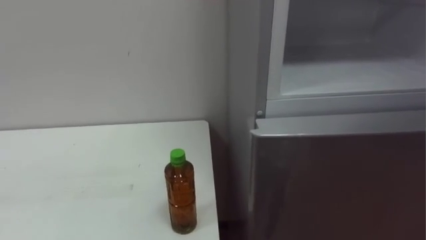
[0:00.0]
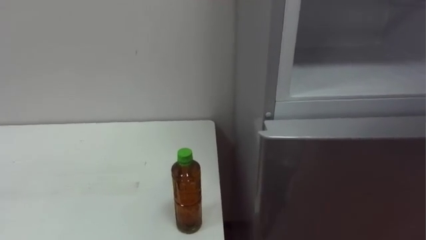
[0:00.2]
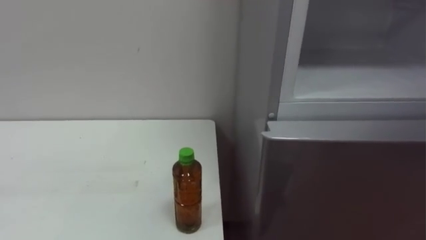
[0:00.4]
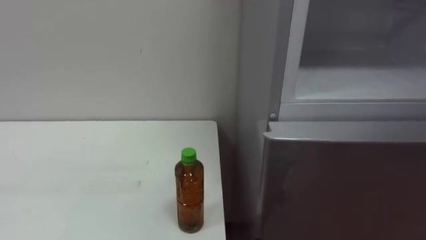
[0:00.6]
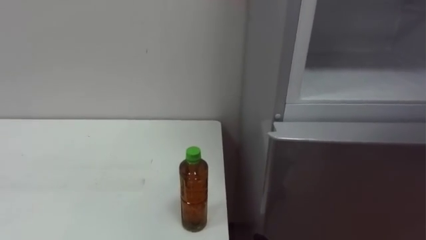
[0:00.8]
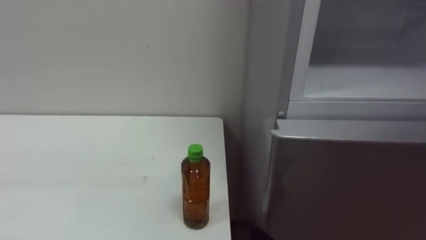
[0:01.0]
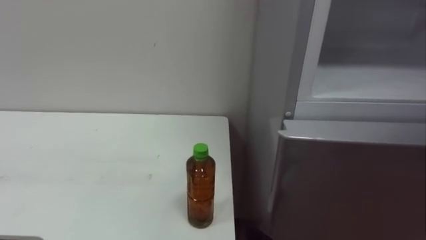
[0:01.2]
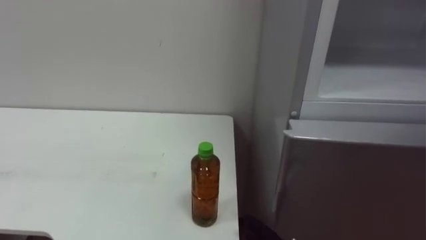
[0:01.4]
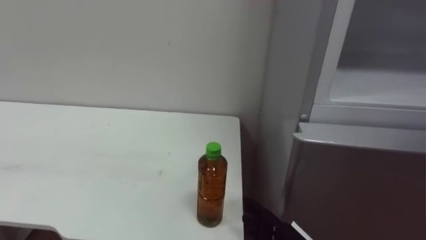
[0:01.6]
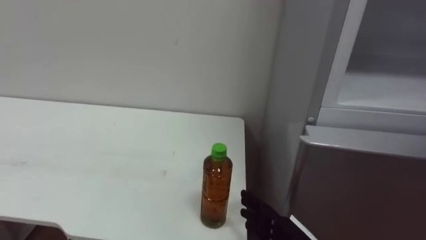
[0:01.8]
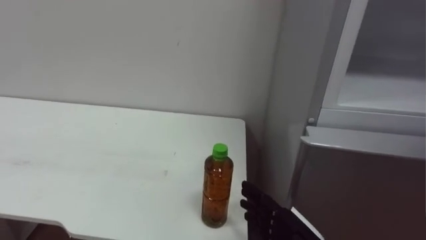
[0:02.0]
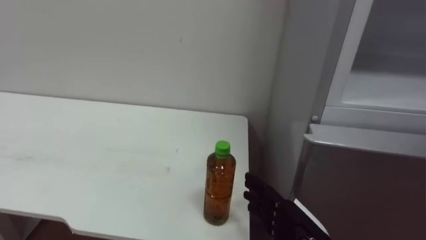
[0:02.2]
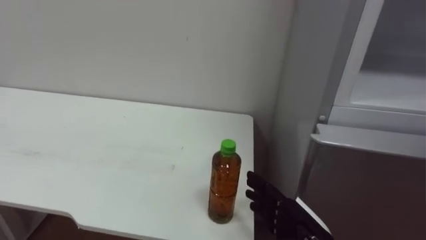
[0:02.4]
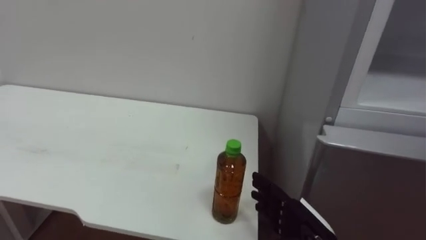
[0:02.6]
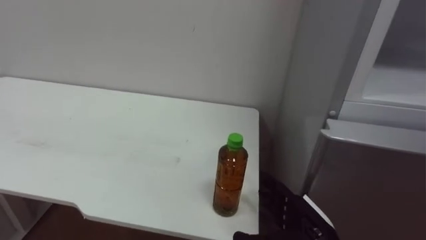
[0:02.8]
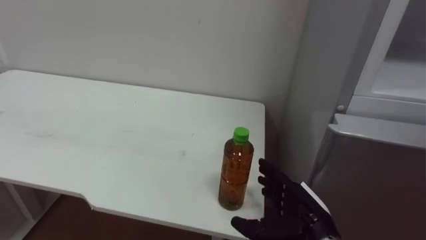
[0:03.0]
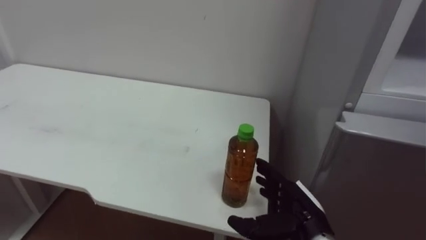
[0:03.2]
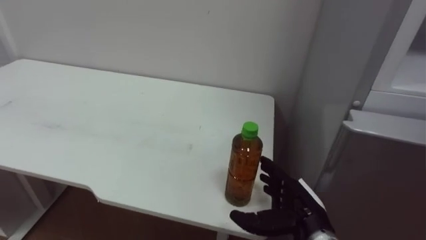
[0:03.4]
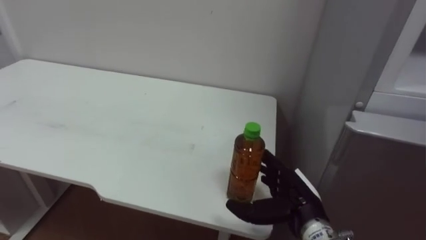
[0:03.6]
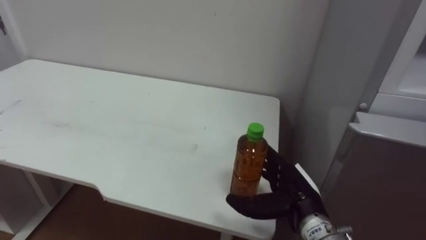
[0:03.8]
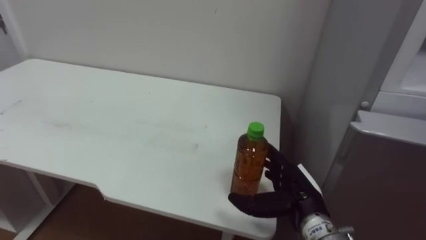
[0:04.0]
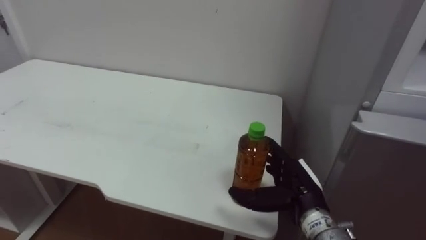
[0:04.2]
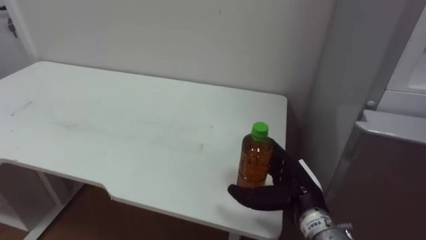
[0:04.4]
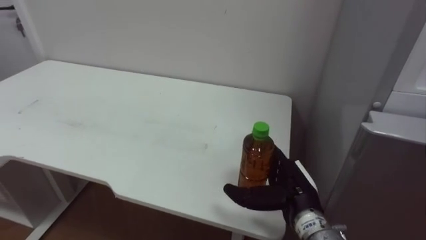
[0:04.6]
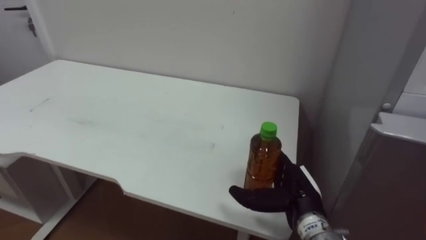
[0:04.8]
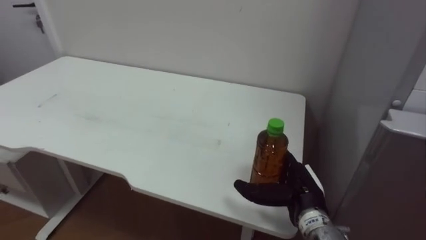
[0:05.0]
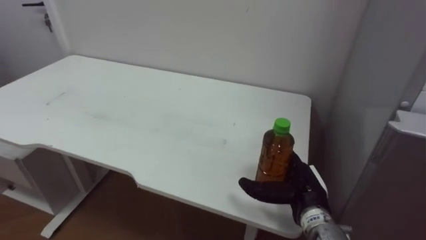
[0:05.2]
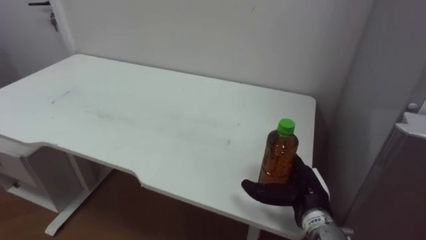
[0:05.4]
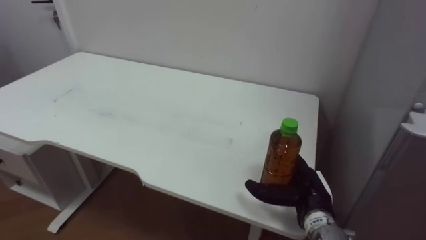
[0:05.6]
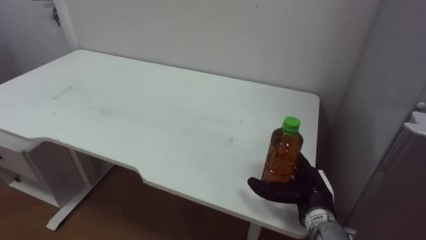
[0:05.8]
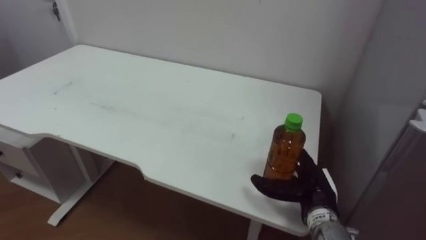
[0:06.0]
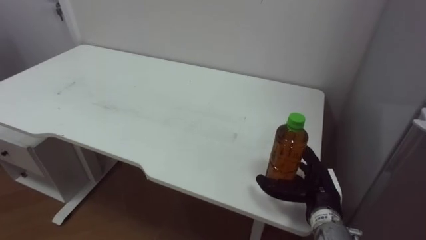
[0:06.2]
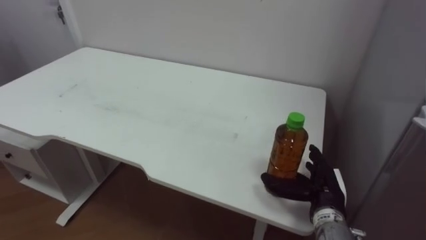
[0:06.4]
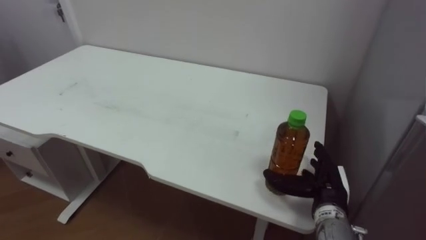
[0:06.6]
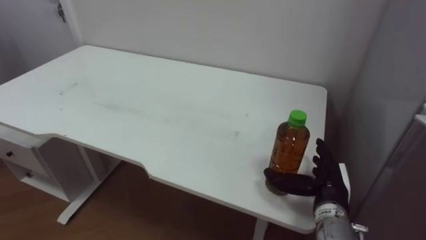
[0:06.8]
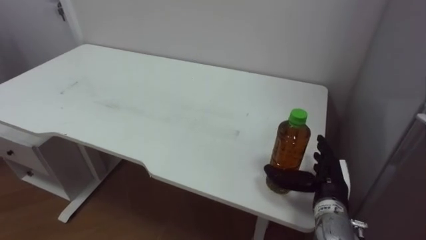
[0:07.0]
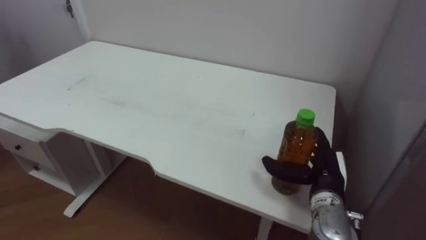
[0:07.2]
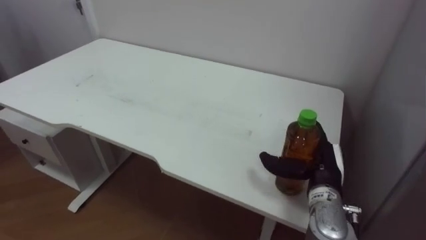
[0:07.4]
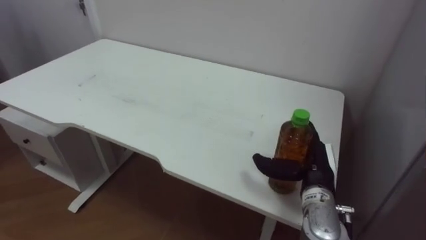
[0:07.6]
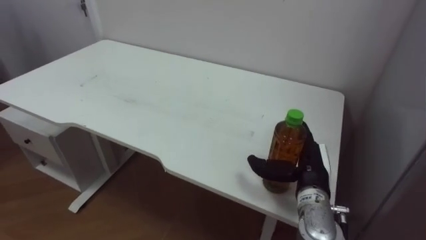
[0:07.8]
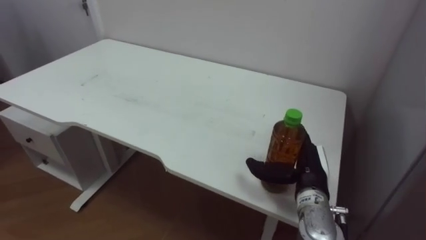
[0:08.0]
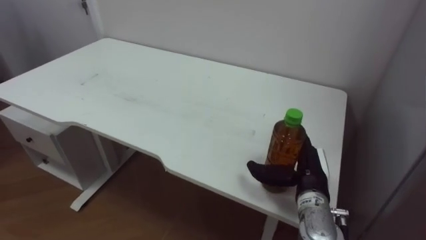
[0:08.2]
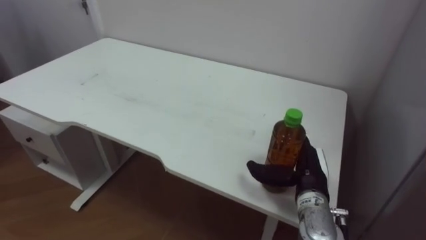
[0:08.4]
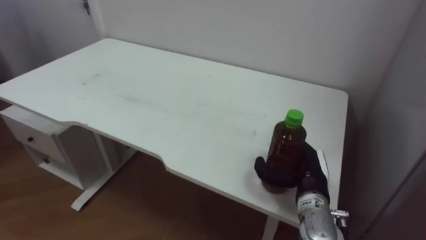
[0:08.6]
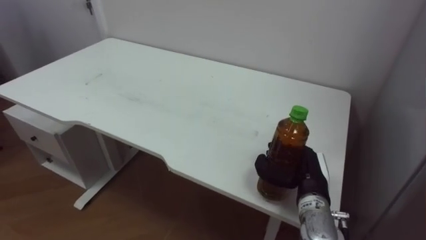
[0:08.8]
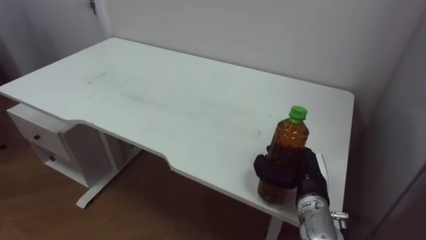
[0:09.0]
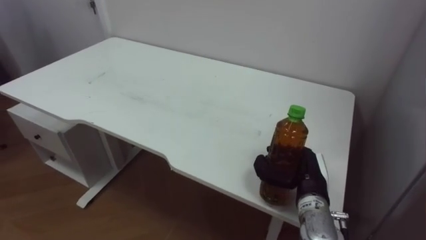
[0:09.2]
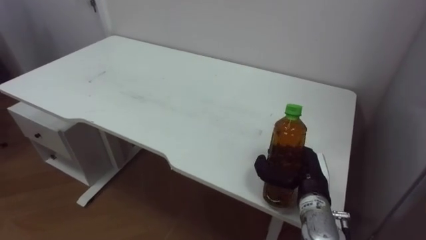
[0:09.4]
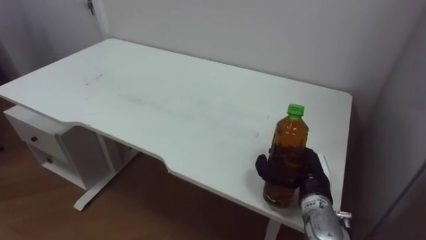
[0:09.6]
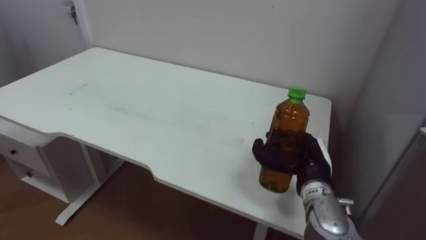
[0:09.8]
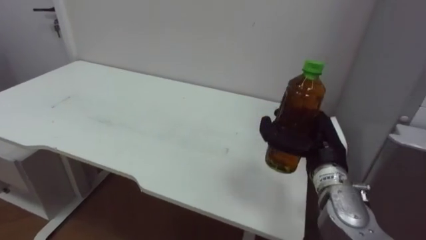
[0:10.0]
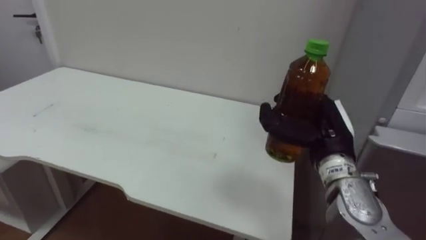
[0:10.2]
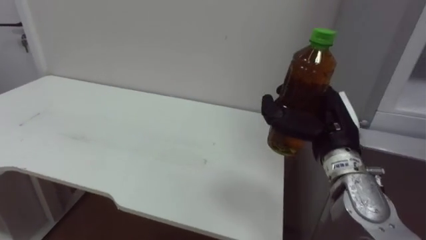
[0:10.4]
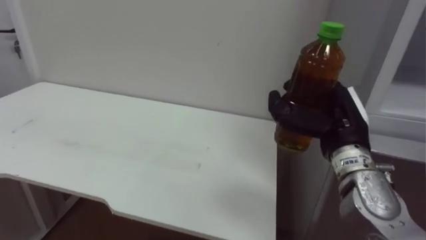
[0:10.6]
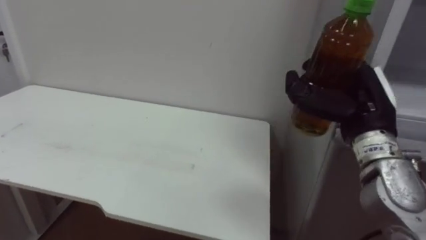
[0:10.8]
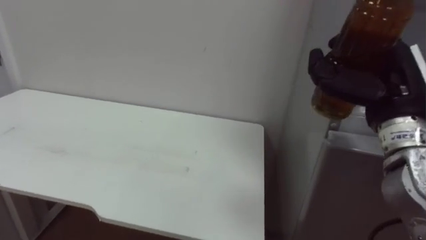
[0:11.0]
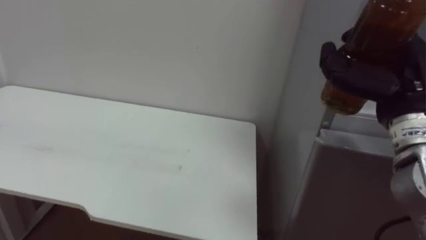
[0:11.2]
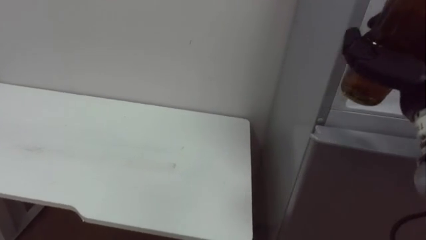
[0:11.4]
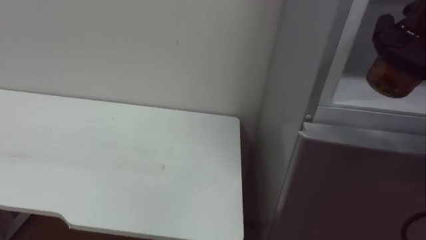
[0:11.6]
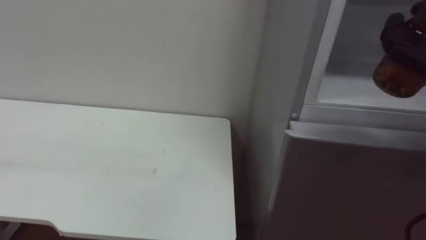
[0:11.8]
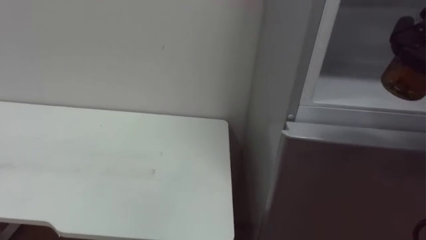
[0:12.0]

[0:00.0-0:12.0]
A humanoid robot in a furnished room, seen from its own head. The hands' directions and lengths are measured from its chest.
Task of the whole recording: Open the upper refrigerator door, put the drink from the table into the refrigerator, and then close the refrigerator door.
0:07.6 to 0:09.0: The right hand closes.
0:09.0 to 0:10.4: The right hand heads upward, covering some 15 cm.

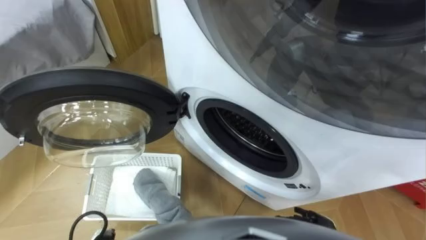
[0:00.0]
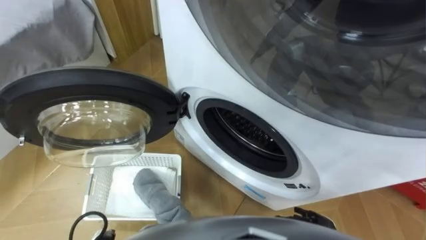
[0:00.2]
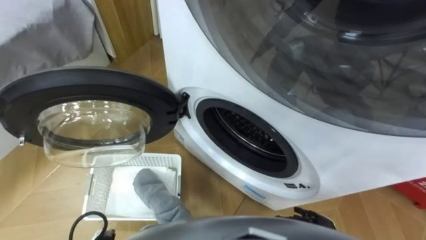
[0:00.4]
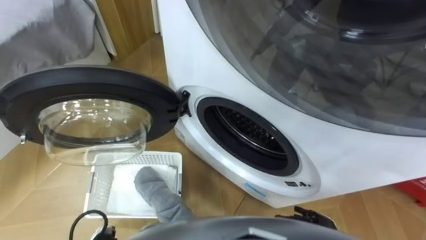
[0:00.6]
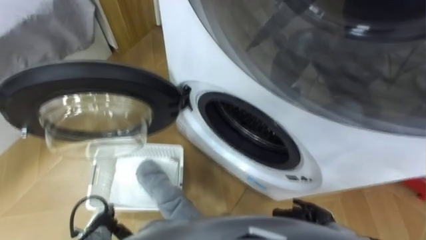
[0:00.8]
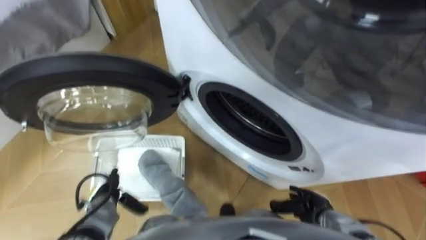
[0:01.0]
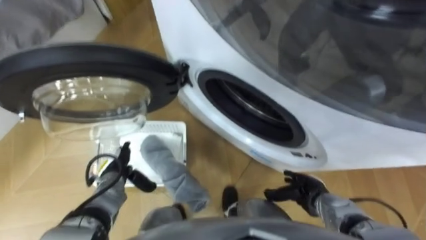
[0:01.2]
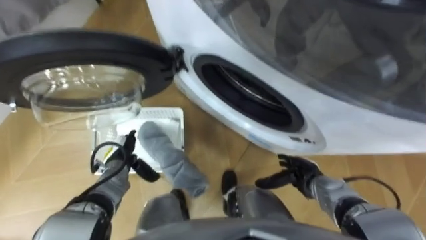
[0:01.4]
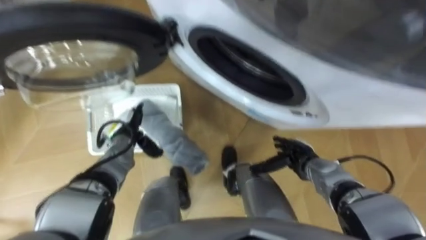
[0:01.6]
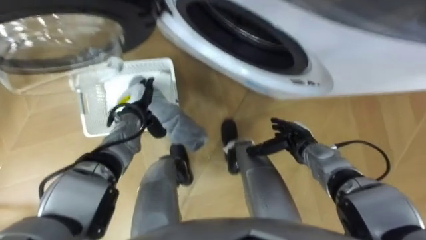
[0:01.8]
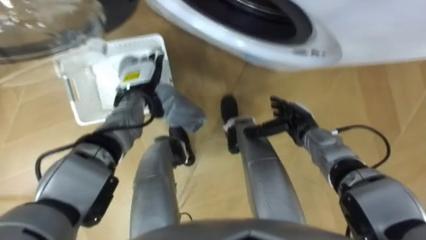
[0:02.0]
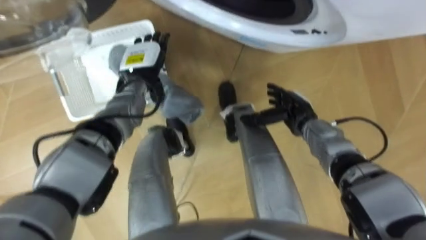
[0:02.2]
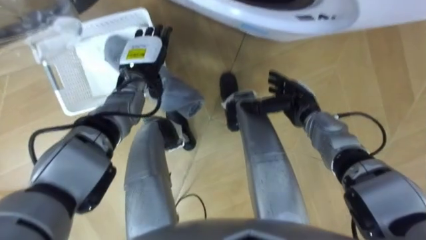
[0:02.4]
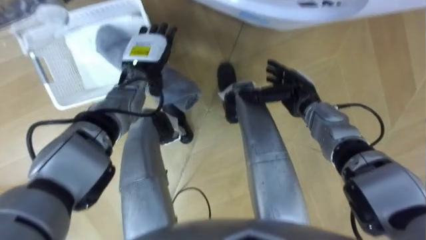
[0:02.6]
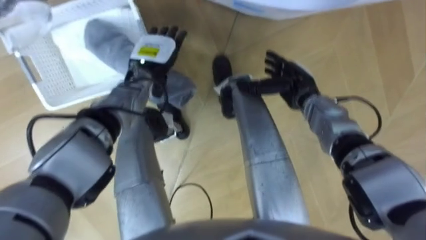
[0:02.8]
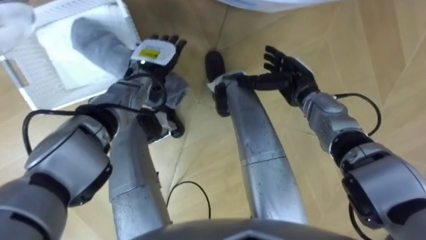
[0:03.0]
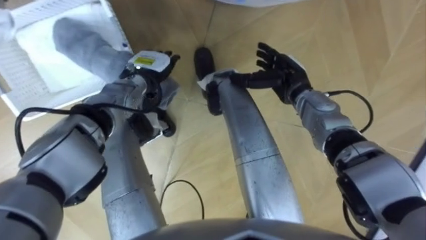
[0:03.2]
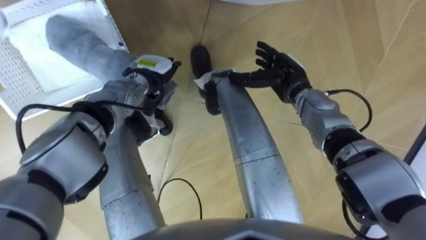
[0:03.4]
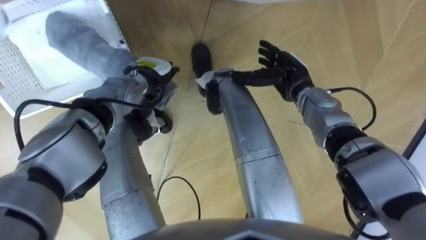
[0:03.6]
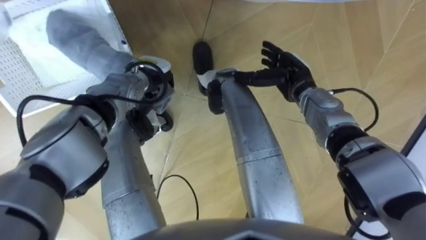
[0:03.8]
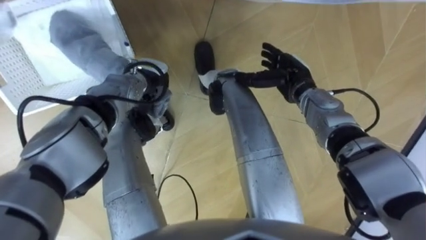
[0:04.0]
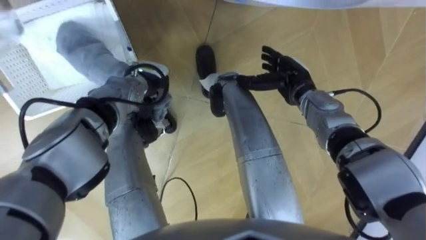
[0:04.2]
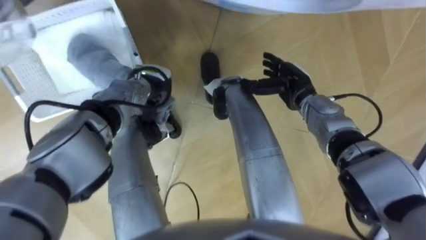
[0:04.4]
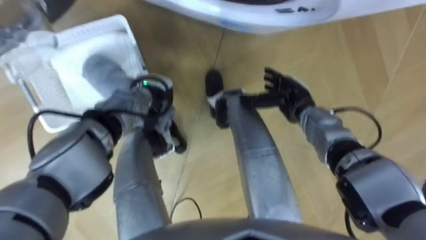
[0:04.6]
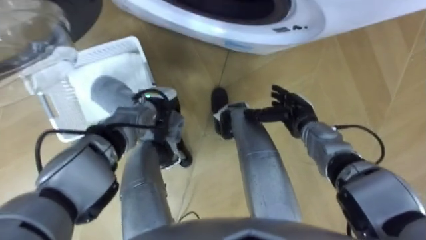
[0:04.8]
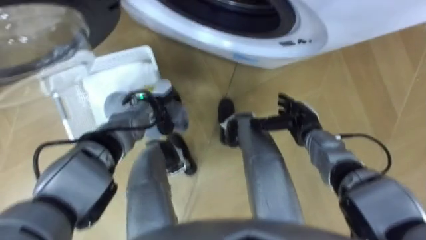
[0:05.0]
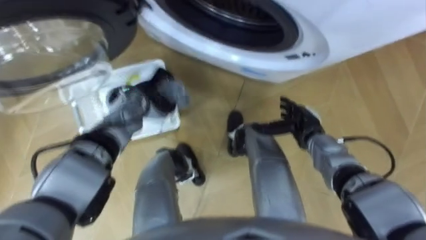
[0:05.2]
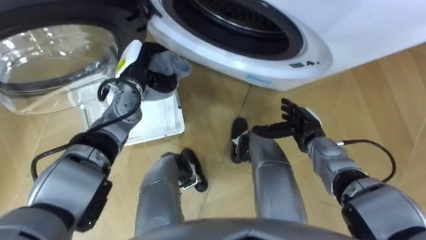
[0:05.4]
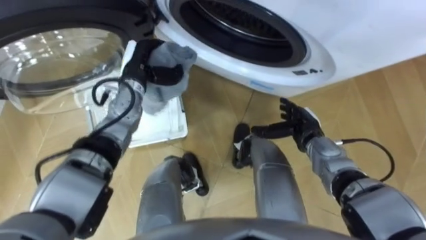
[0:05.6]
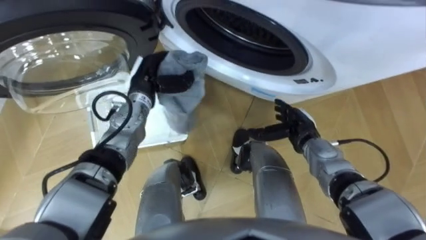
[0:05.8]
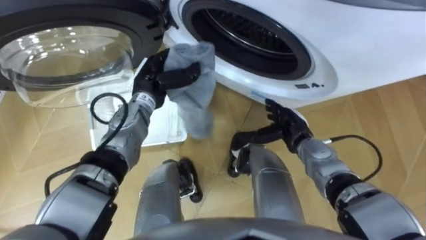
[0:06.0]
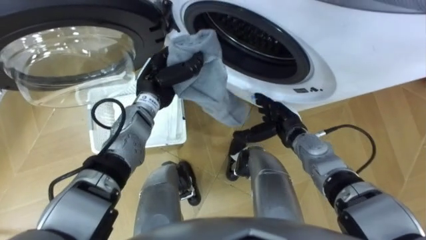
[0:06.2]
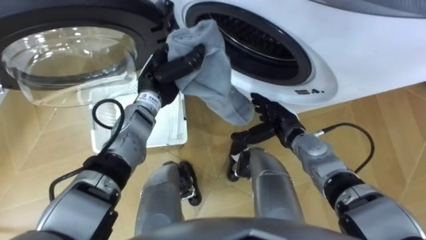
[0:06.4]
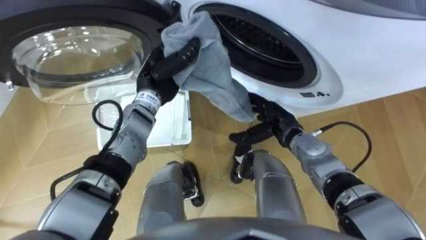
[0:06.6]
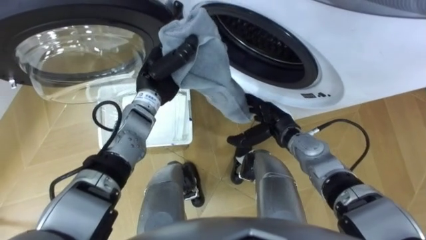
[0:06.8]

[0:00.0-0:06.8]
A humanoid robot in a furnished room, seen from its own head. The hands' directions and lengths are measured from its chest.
Task of the whole recording: Take the towel from the basket and put it into the washing machine.
0:01.4 to 0:02.8: The right hand travels forward and upward by approximately 20 cm; the left hand goes approximately 25 cm forward, upward and to the right.
0:02.8 to 0:04.0: The left hand changes place by some 5 cm, and closes its fingers.
0:04.0 to 0:05.4: The right hand goes roughly 10 cm backward and downward.
0:05.4 to 0:06.8: The left hand shifts some 5 cm to the right; the right hand is displaced to the left by about 5 cm.
